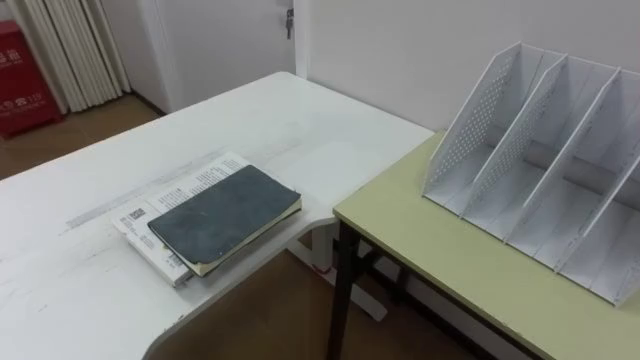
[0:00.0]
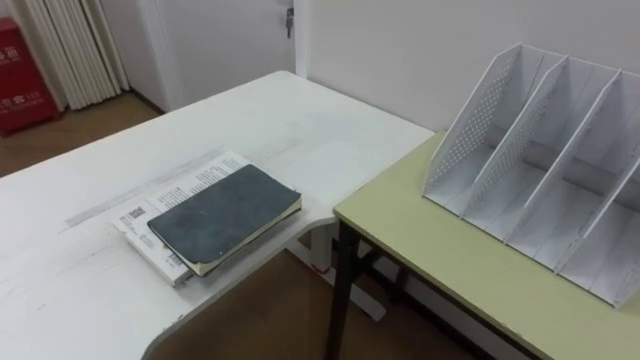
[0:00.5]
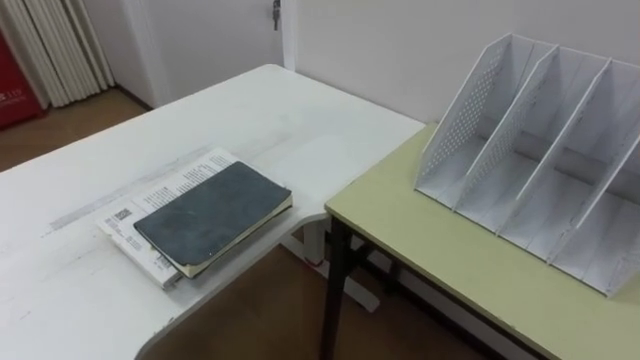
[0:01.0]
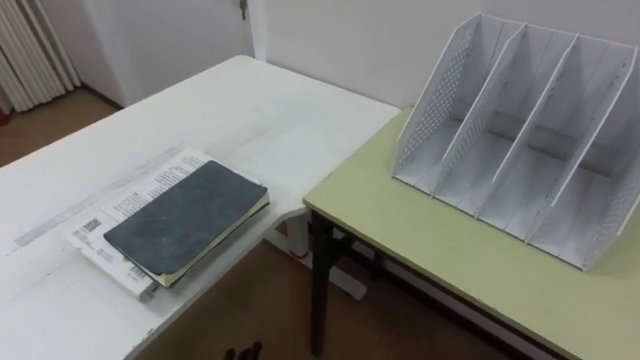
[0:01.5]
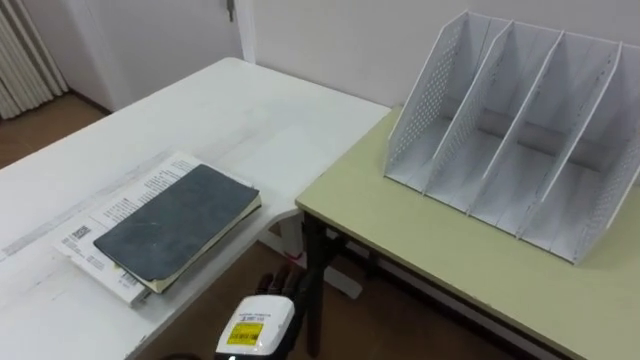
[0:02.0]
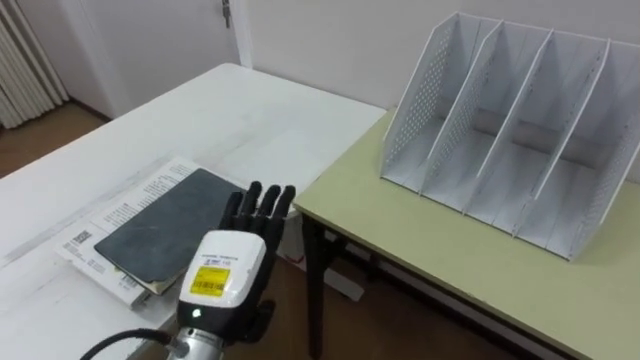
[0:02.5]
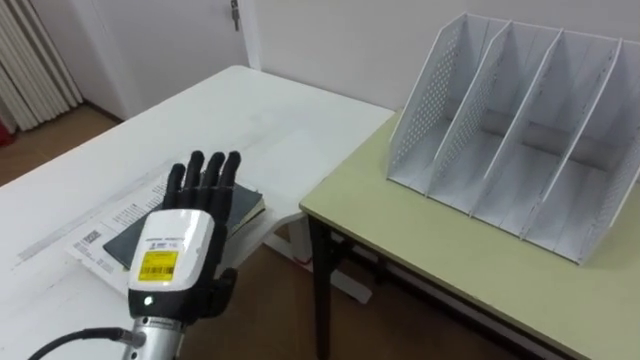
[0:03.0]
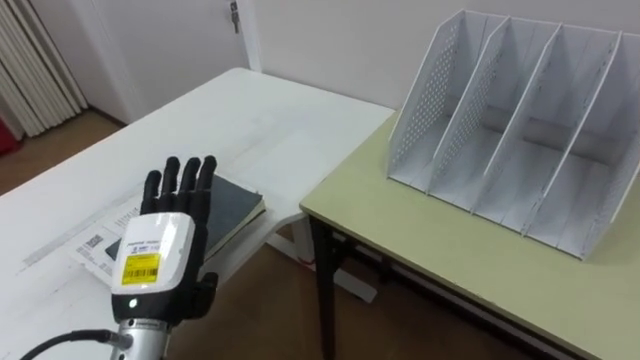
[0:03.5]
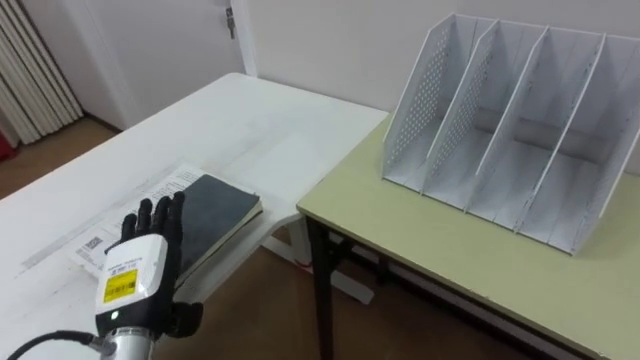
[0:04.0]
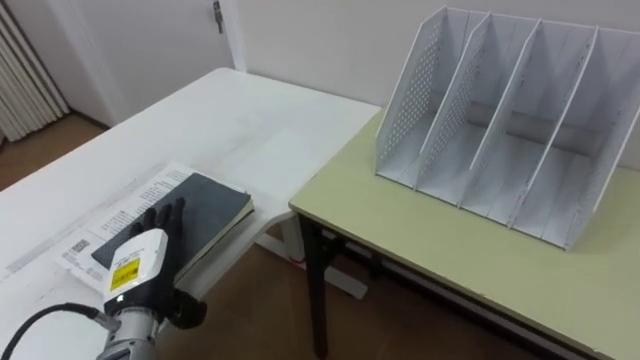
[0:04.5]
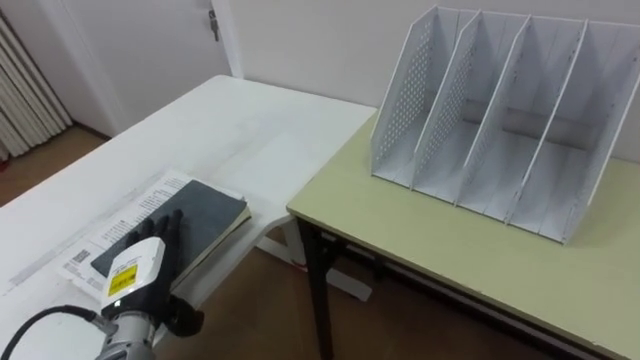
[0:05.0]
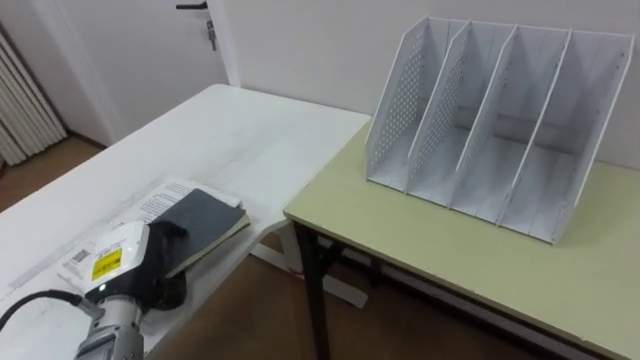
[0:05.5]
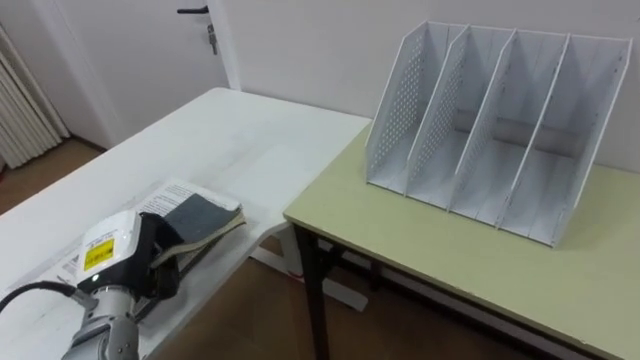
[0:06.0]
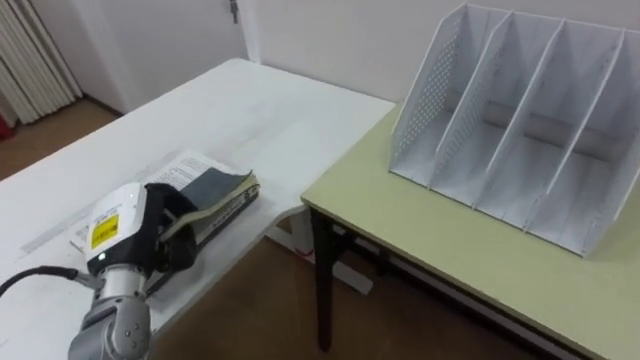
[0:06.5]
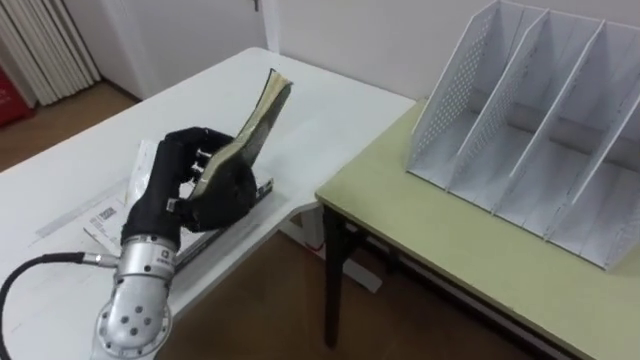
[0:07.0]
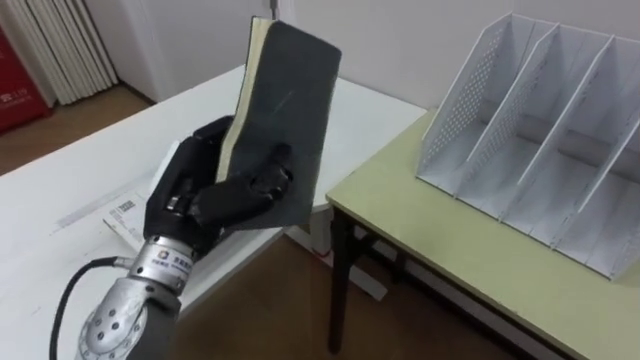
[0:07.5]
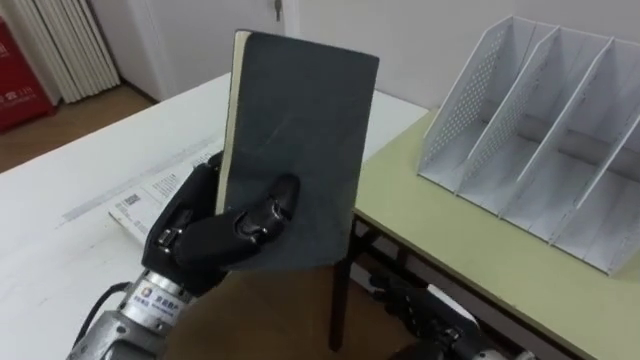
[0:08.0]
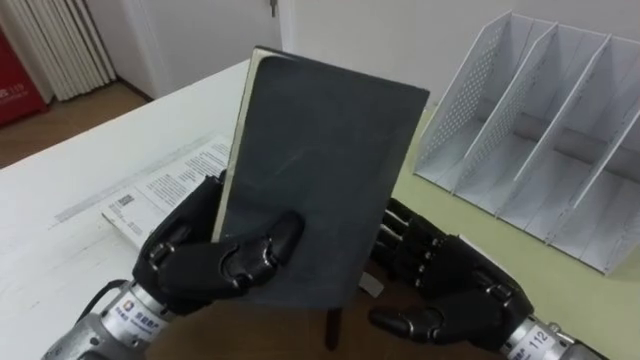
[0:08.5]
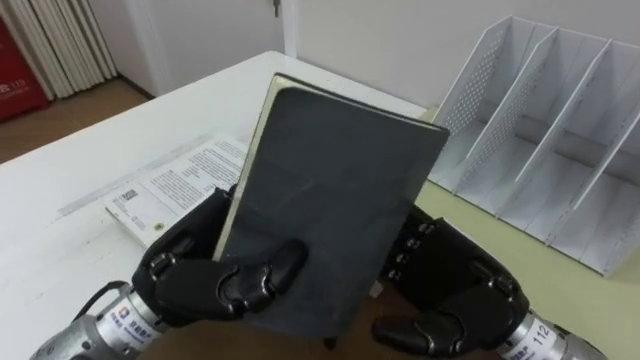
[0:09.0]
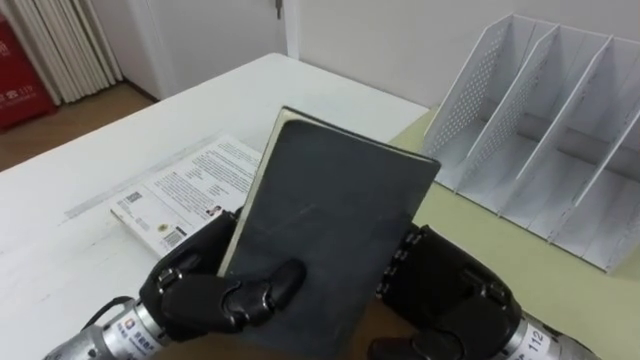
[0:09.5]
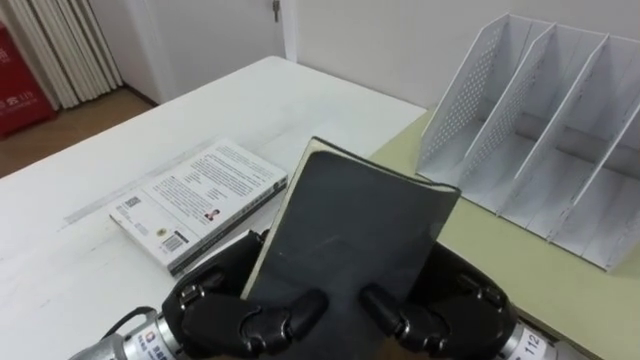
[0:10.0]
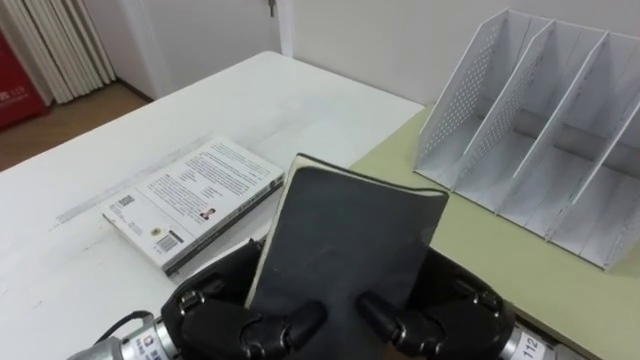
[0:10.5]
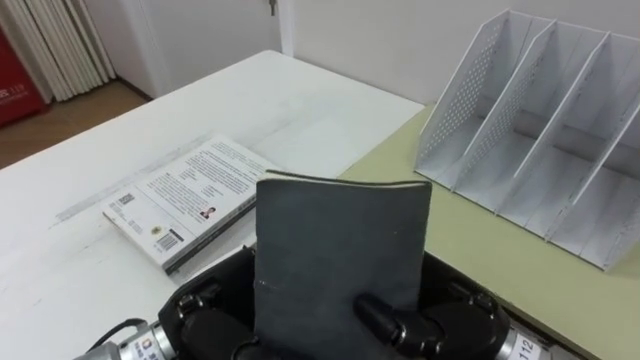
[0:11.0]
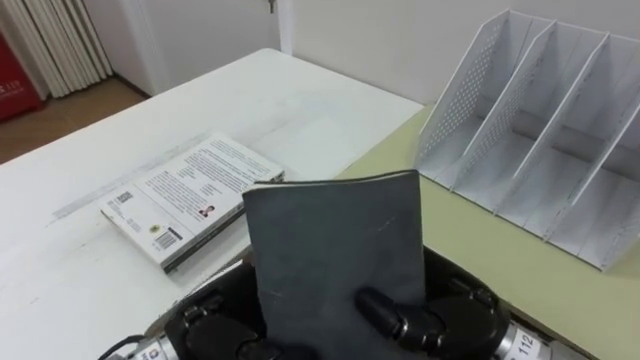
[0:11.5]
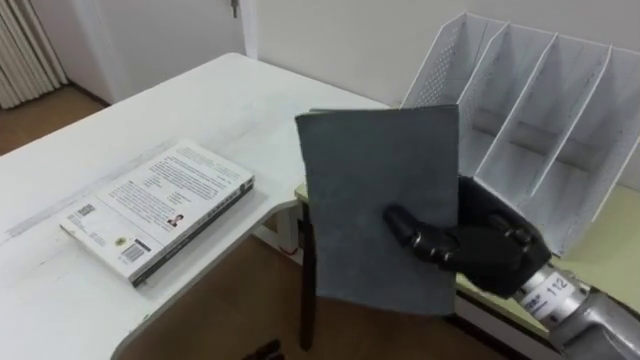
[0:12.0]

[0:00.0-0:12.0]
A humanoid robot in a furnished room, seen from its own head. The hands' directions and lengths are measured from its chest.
Task of the whole recording: Put the books on the table onto the bookshelf.
0:02.0 to 0:04.0: The left hand heads to the left and upward, covering roughly 15 cm.
0:04.0 to 0:06.0: The left hand shifts by roughly 5 cm, and closes.
0:06.0 to 0:08.0: The left hand goes roughly 15 cm to the right and upward.
0:08.0 to 0:10.0: The right hand travels upward by about 15 cm, and closes up; the left hand changes place by about 5 cm.
0:10.0 to 0:12.0: The right hand moves some 5 cm.

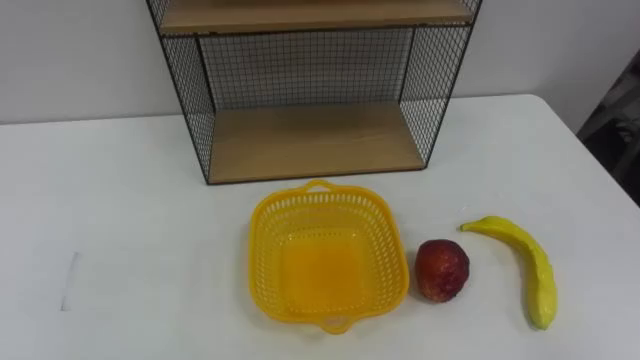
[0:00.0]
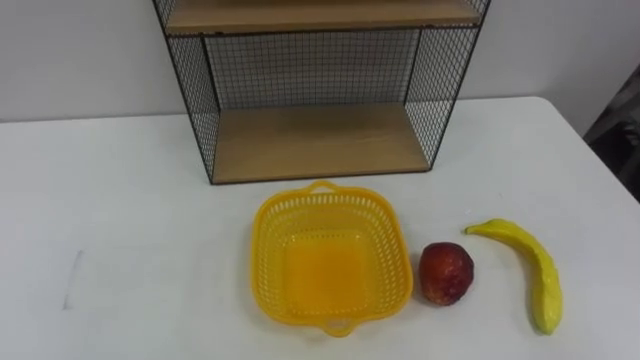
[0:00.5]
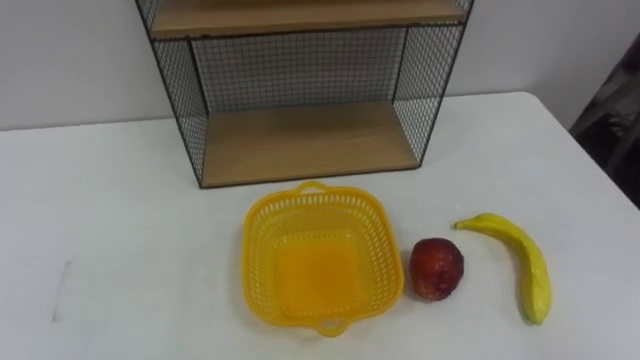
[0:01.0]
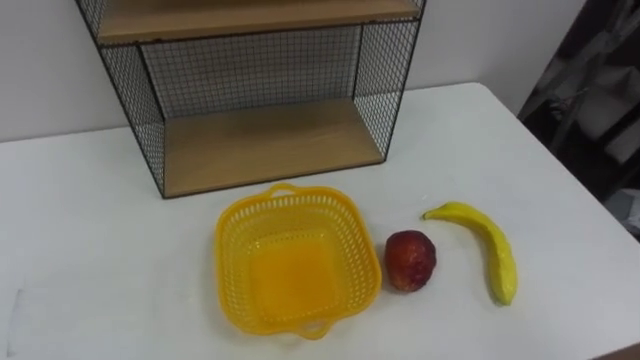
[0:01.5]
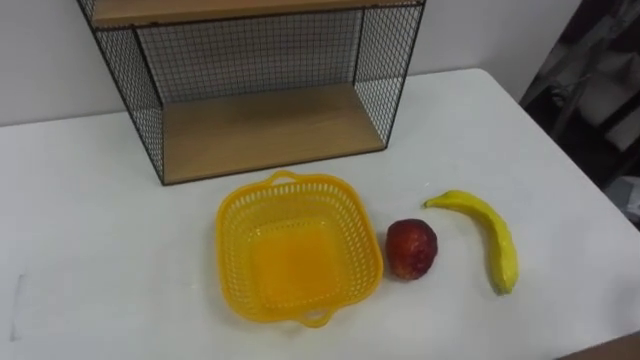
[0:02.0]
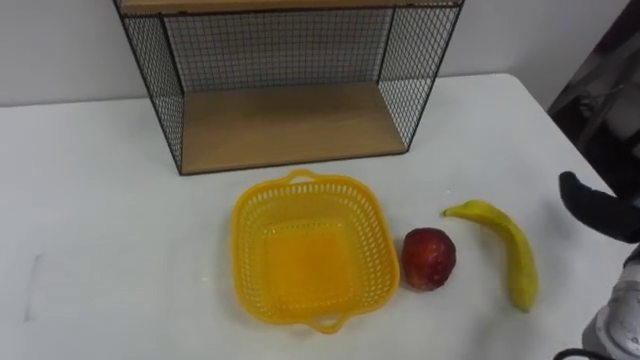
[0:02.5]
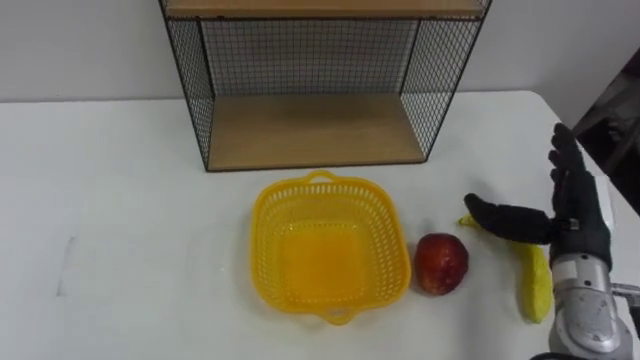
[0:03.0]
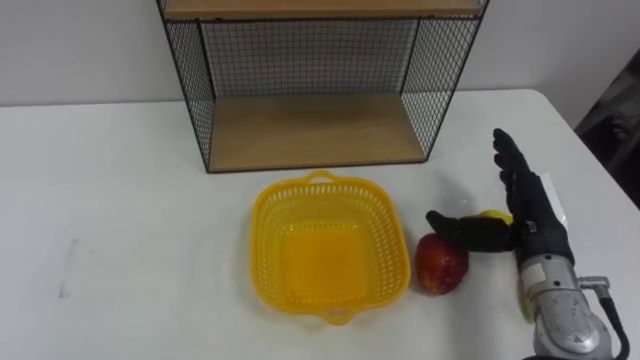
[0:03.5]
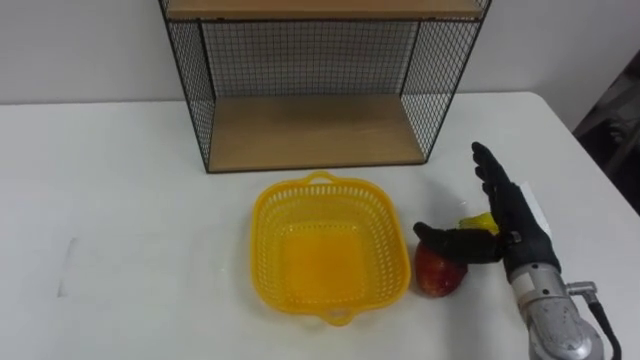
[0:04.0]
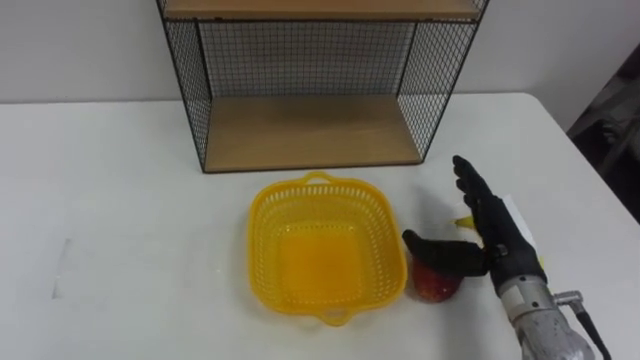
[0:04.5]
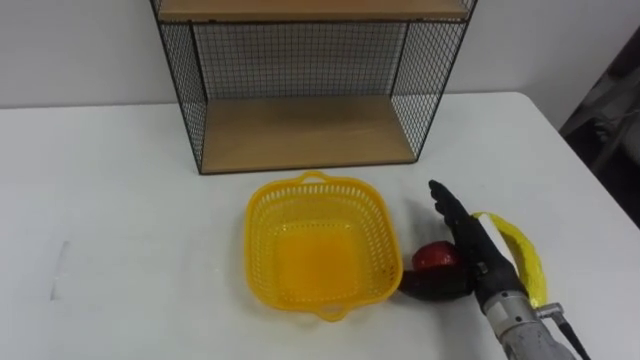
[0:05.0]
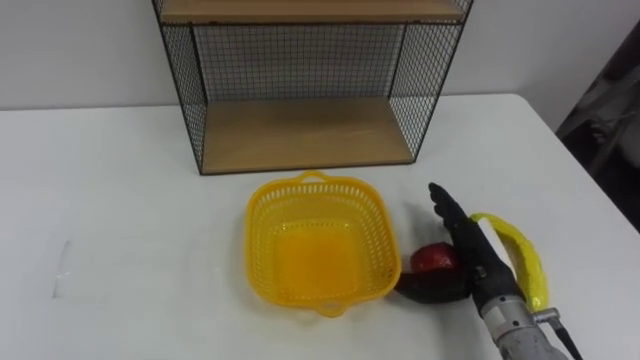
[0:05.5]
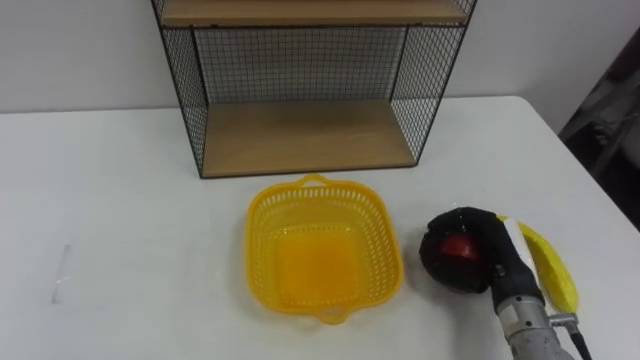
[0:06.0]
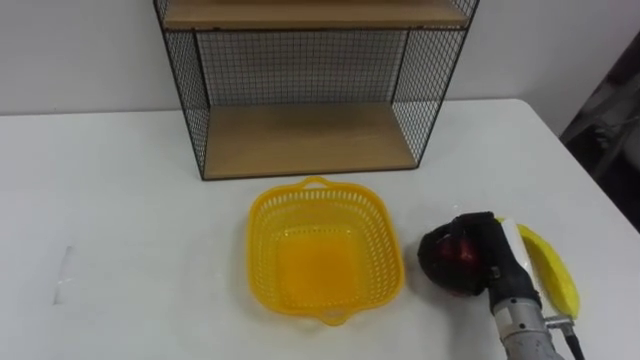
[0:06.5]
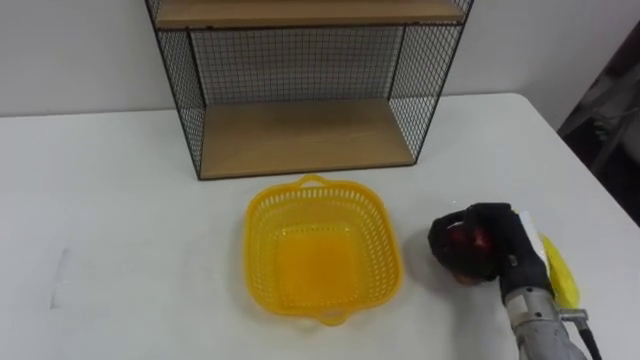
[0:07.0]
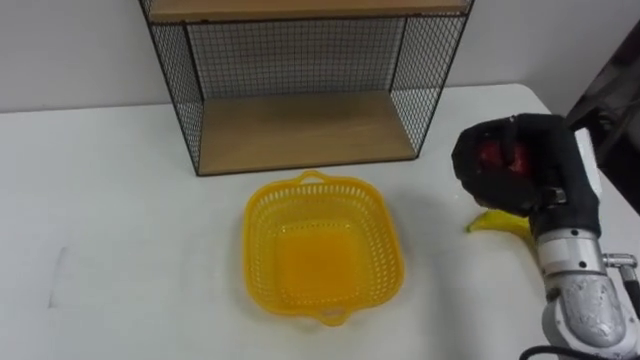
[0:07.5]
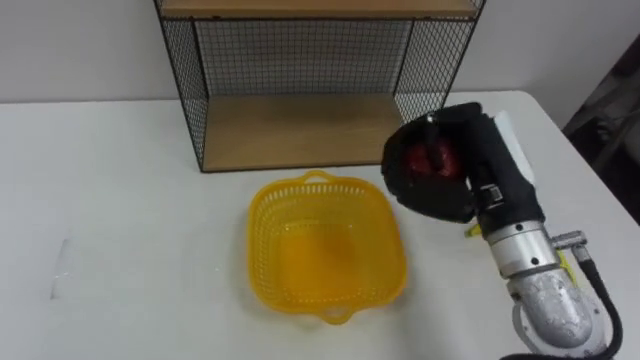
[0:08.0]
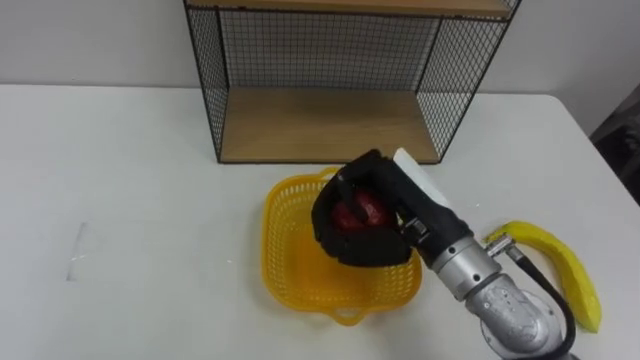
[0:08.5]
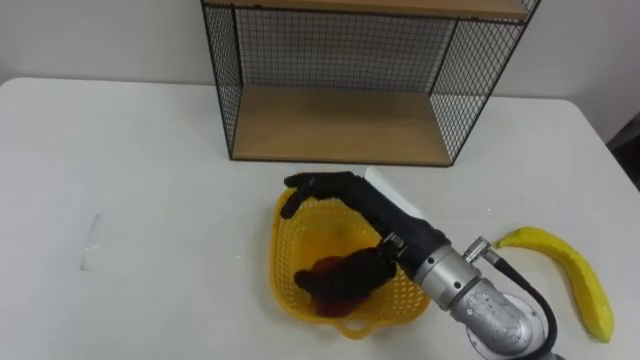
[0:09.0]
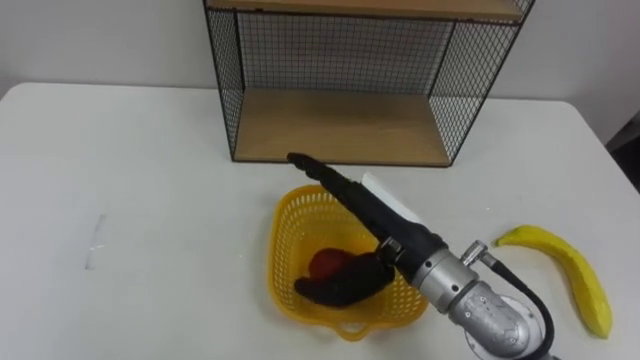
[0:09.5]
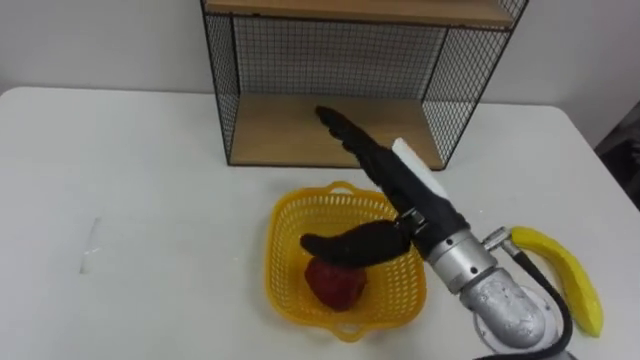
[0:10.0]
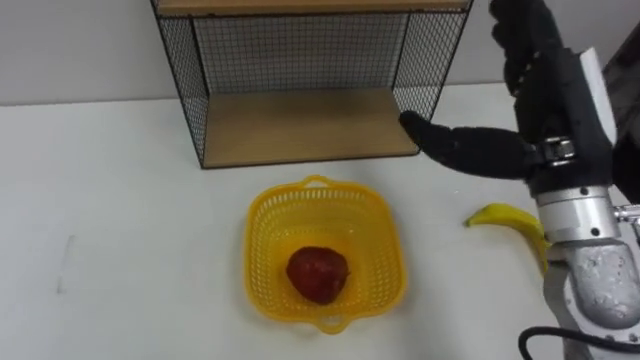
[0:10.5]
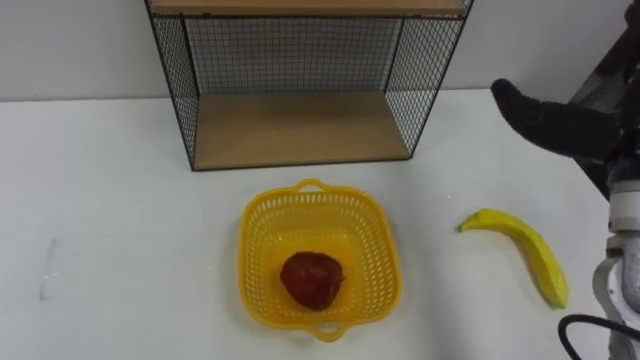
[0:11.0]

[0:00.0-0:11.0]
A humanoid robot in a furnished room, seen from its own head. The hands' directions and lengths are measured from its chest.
Task of the whole recording: Put the fruit on the table into the basket, then place the basket on the shelf.
0:03.5 to 0:05.5: The right hand heads downward, covering roughly 5 cm.
0:05.5 to 0:07.5: The right hand moves upward, approximately 15 cm, and closes up.
0:07.5 to 0:09.0: The right hand shifts approximately 15 cm to the left, and opens.
